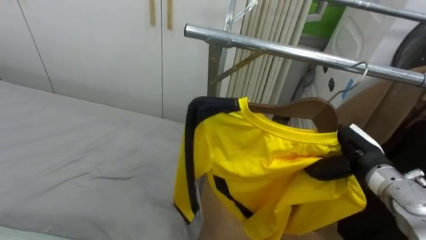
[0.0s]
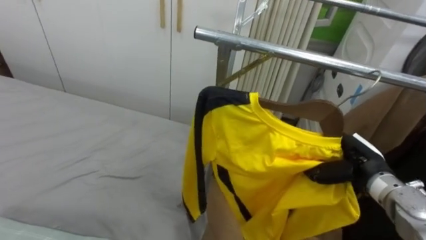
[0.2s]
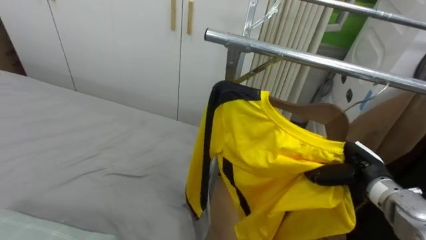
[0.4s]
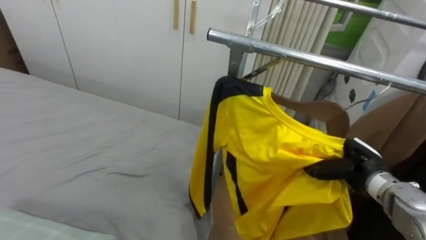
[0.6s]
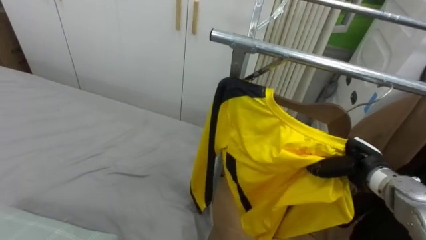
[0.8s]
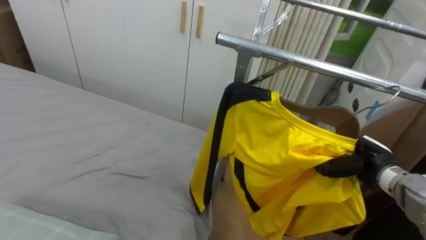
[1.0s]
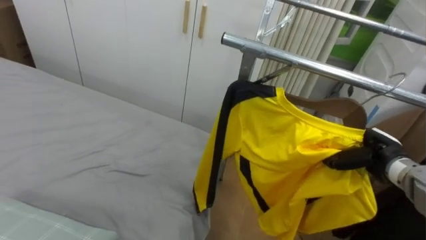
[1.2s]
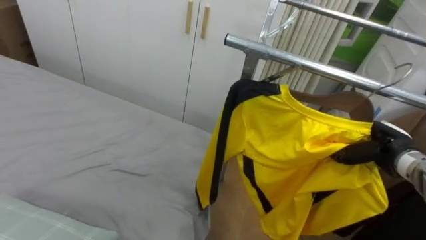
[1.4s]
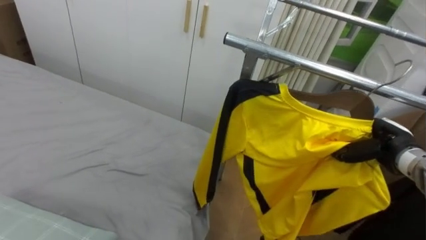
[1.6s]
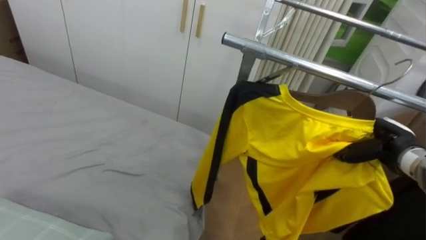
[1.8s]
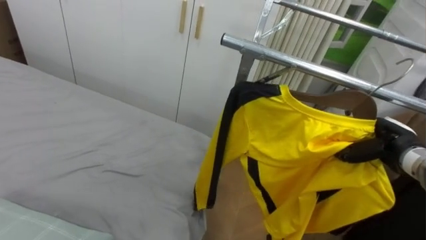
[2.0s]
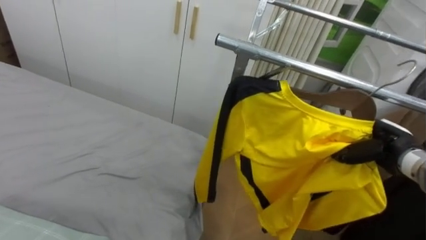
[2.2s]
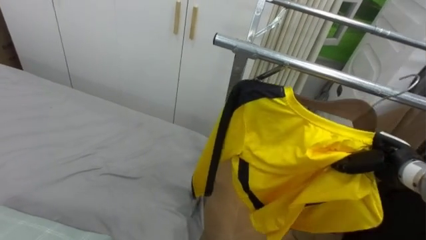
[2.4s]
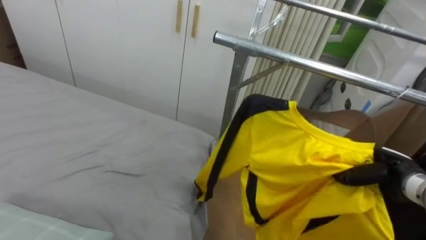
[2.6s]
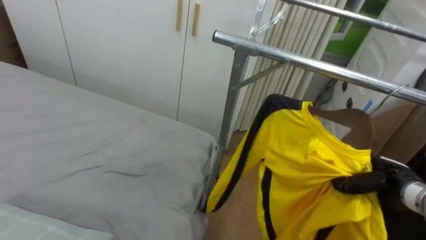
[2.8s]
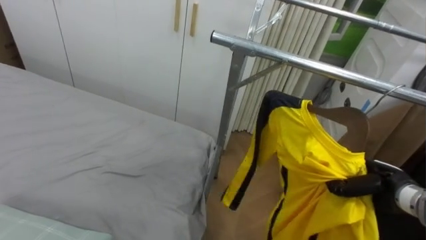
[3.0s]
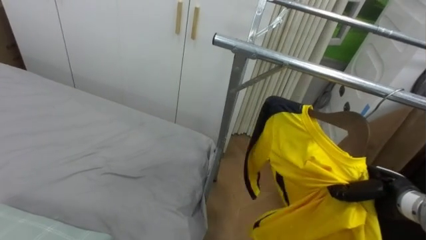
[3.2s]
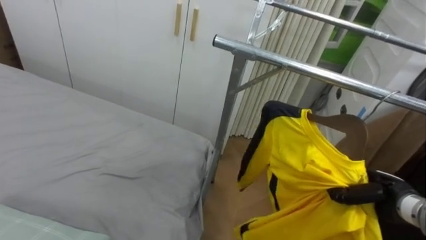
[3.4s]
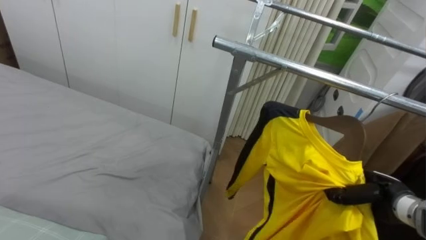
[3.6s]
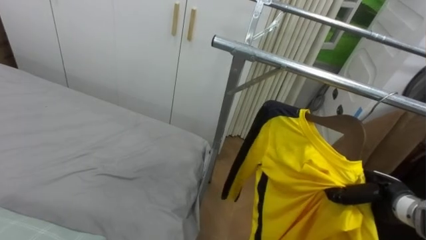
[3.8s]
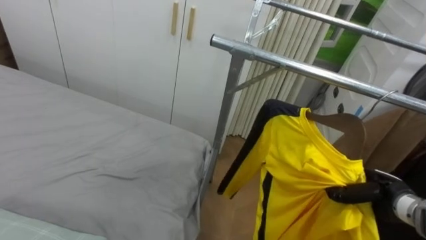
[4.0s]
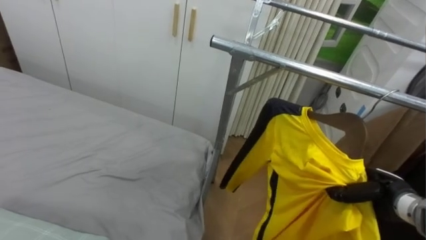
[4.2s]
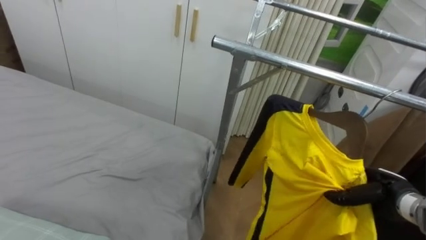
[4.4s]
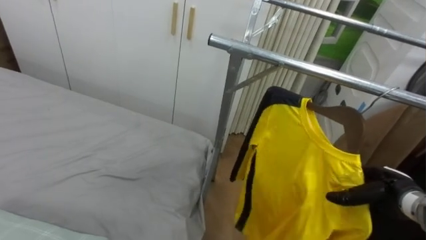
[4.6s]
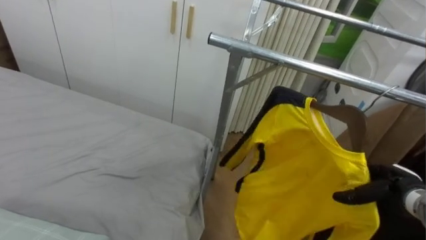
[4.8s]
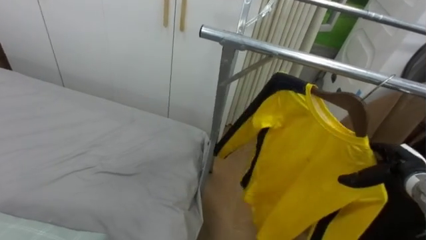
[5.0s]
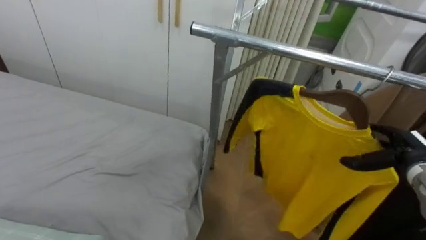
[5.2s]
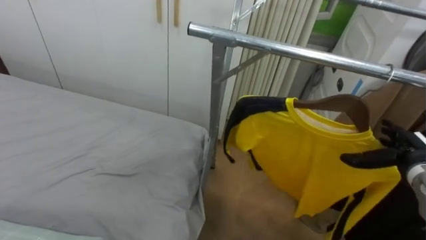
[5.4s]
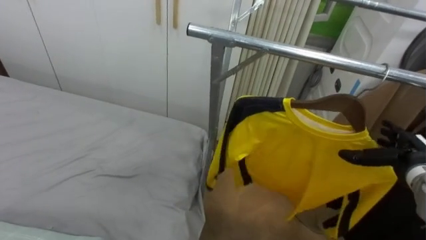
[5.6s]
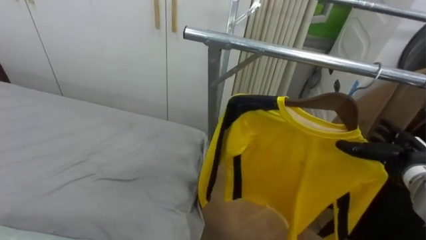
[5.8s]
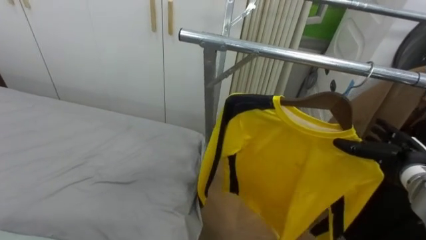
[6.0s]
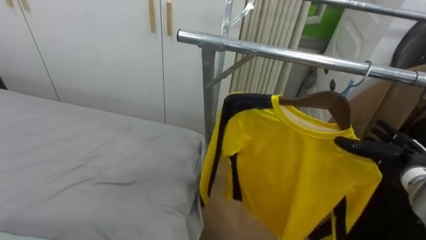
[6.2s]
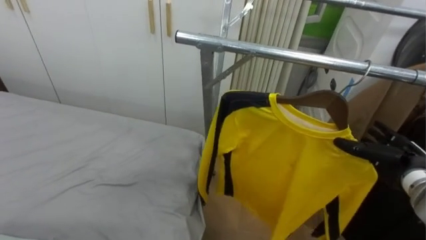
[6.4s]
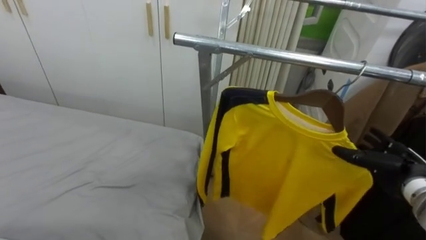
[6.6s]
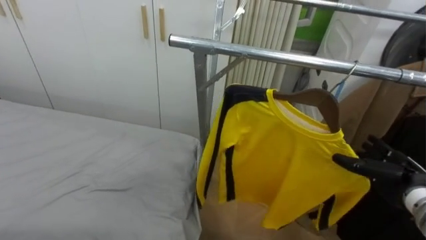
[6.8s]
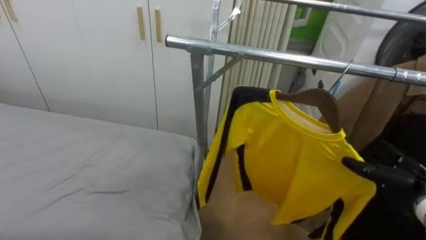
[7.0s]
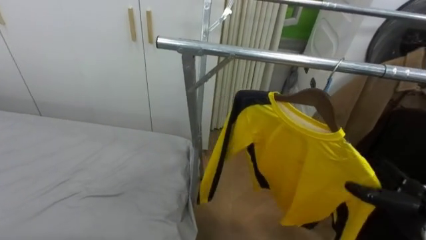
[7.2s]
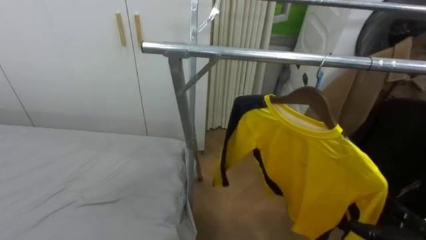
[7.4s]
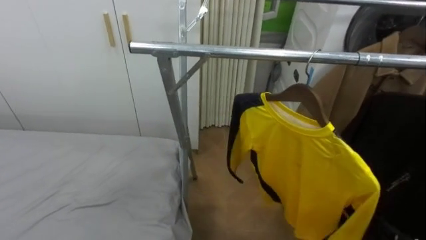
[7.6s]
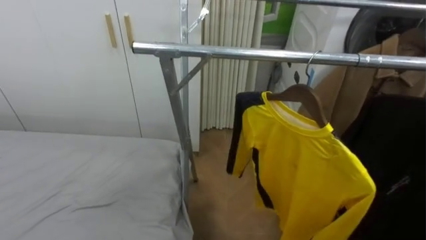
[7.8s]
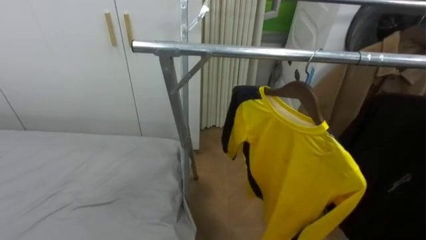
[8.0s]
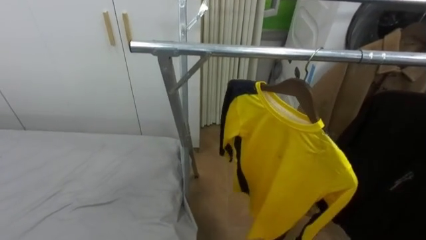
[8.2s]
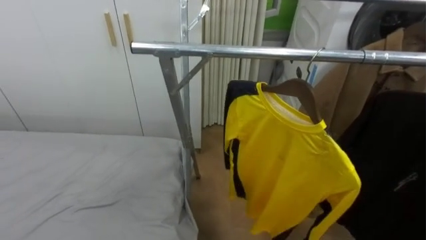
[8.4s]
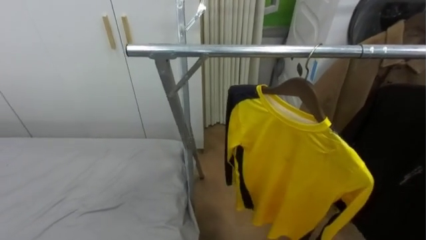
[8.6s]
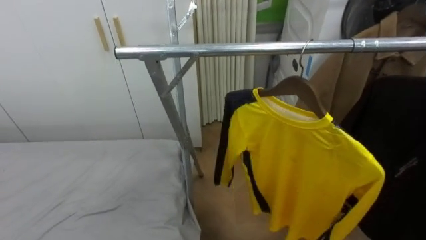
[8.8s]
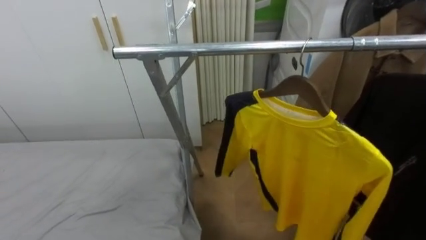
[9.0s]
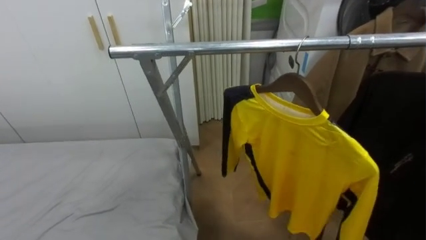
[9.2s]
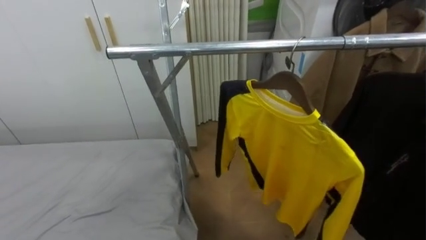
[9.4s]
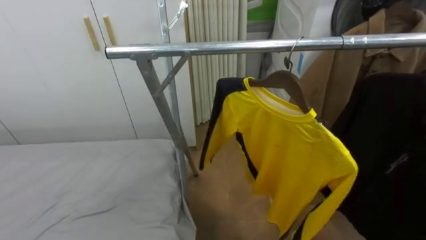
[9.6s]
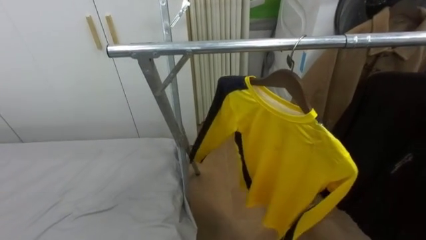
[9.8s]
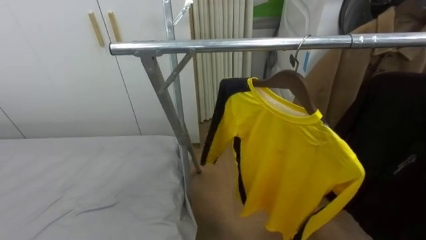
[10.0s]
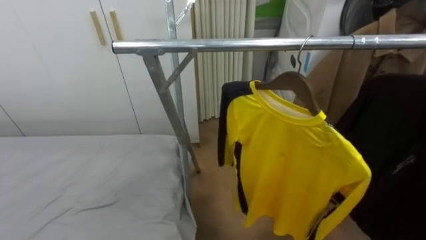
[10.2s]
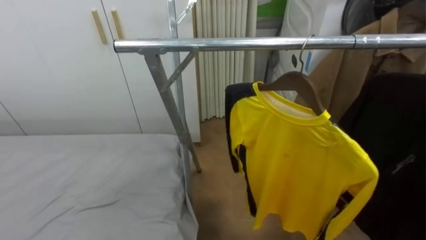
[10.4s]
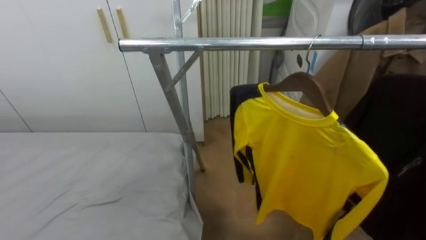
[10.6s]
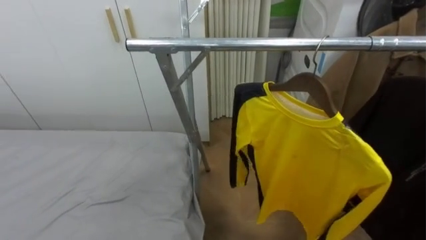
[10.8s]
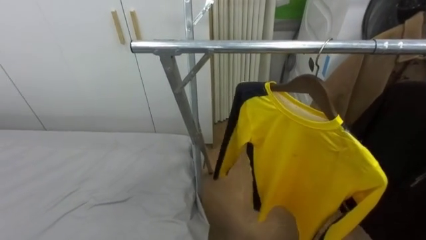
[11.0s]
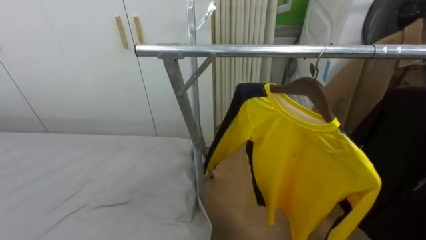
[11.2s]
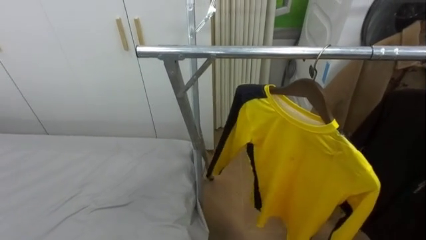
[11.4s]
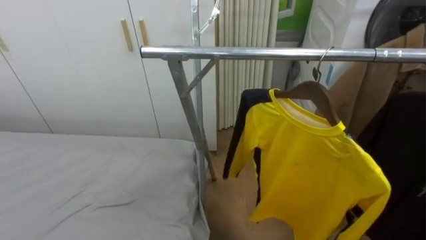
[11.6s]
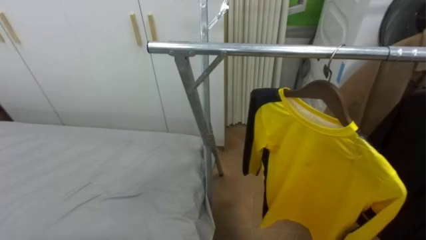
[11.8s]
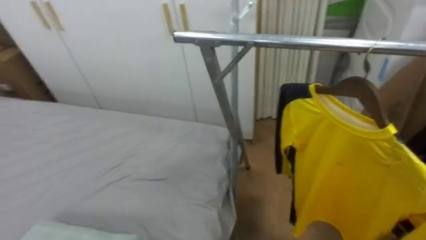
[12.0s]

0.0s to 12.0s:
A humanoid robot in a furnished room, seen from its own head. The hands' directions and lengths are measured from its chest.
Task of the whole recording: Pick up the yellow shirt on the bed and hang it on the clothes rack on the right.
0.0s to 1.6s: The right hand goes some 5 cm to the right.
1.6s to 3.0s: The right hand is displaced downward by roughly 5 cm.
4.4s to 6.0s: The right hand heads upward, covering about 5 cm, and opens up.

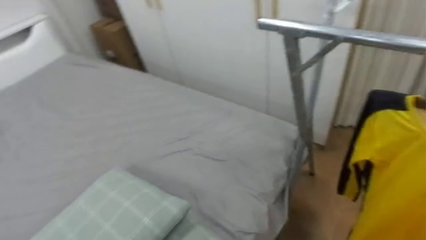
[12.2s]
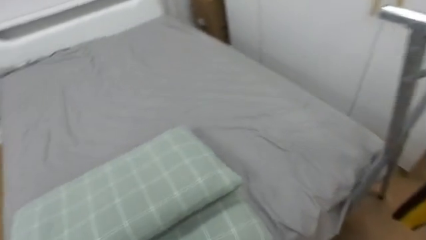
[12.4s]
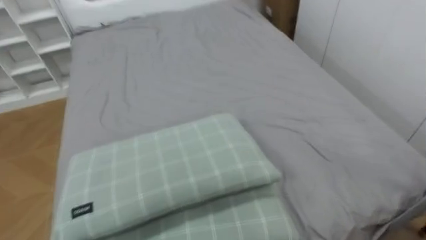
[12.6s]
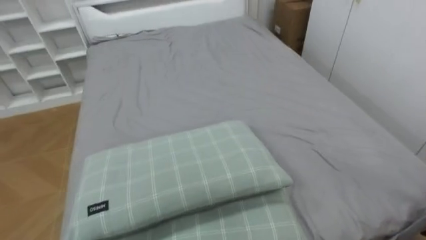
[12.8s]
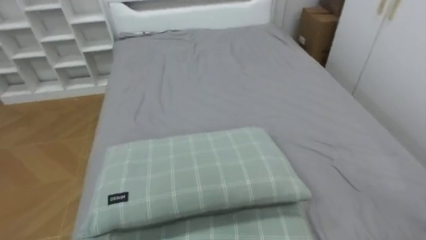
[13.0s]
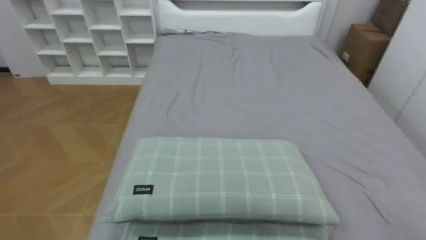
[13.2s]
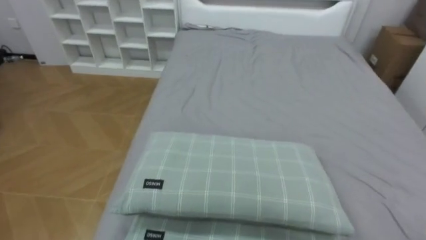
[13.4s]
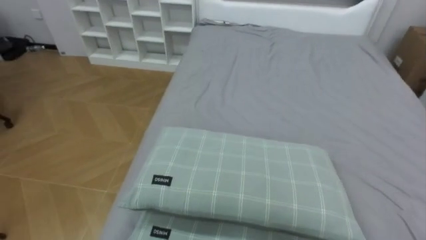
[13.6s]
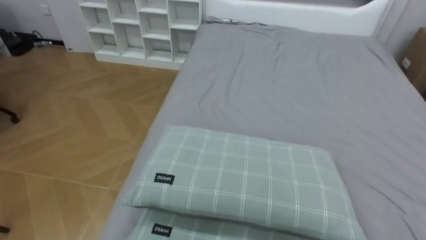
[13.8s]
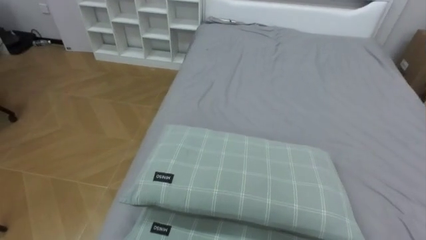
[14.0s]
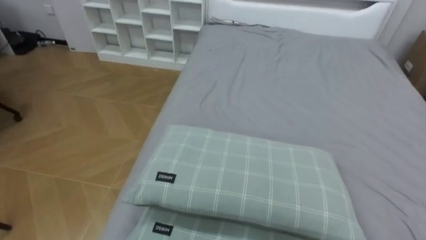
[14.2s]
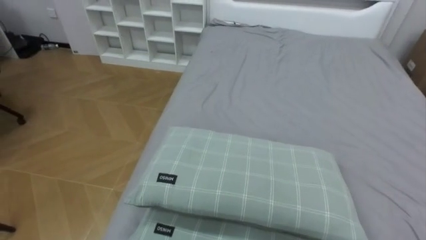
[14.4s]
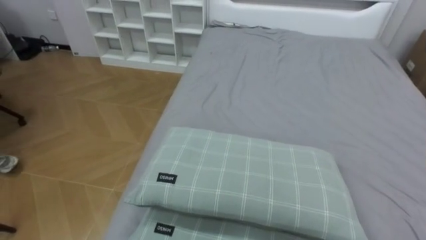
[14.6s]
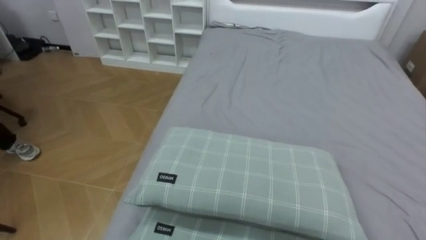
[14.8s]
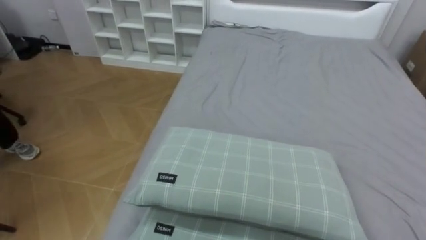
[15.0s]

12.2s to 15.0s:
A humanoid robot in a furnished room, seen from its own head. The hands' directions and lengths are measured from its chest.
Task of the whole recording: Pick up the yellow shirt on the bed and hang it on the clothes rack on the right.
12.2s to 13.6s: The robot faces approximately 70 degrees further to its left.

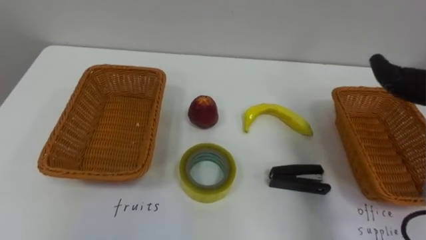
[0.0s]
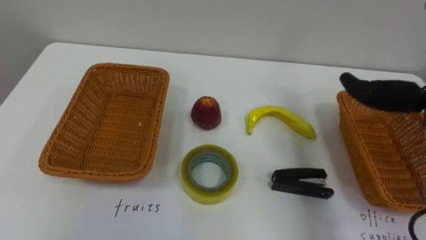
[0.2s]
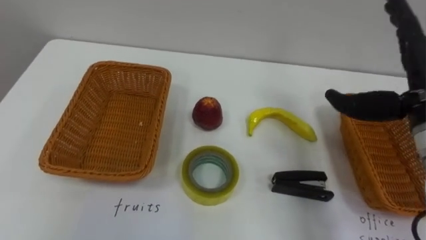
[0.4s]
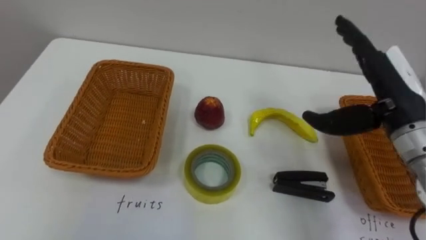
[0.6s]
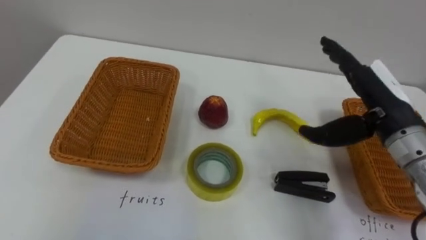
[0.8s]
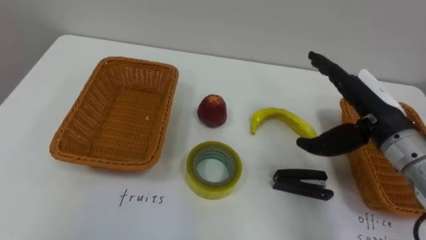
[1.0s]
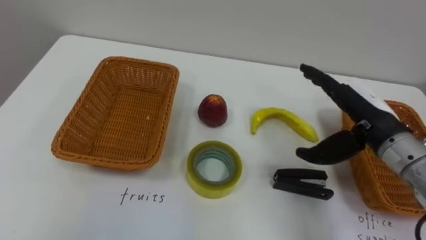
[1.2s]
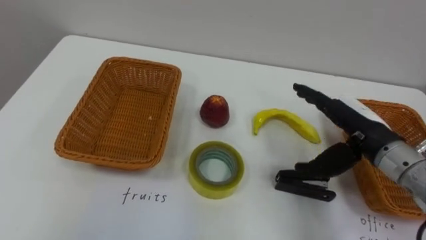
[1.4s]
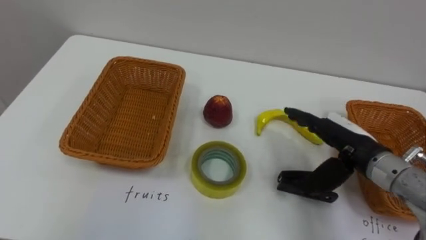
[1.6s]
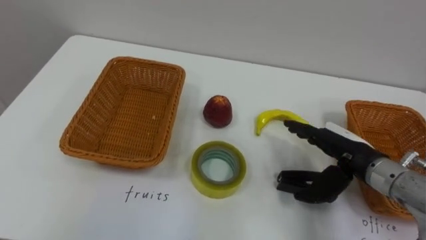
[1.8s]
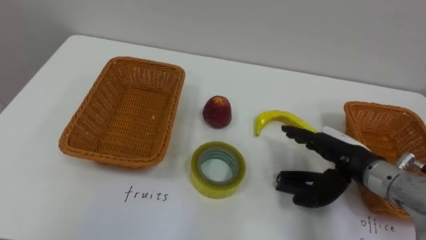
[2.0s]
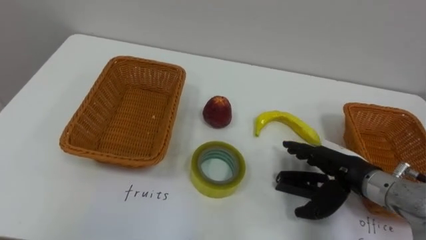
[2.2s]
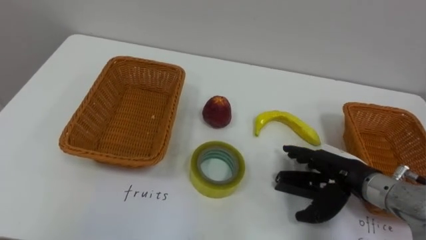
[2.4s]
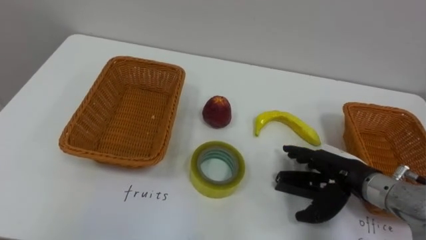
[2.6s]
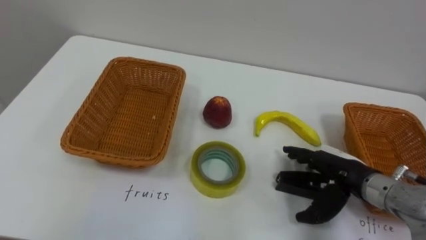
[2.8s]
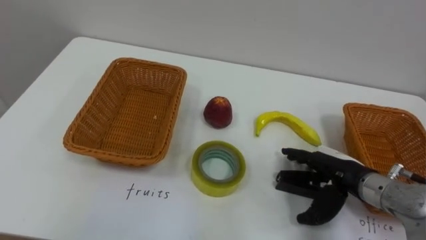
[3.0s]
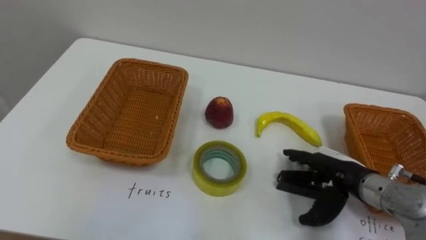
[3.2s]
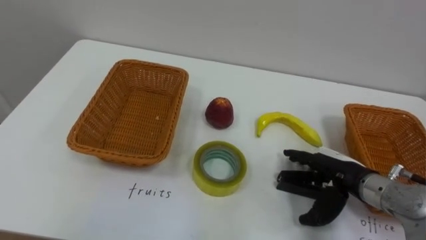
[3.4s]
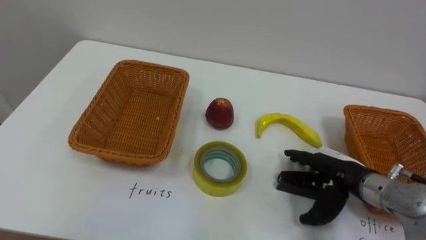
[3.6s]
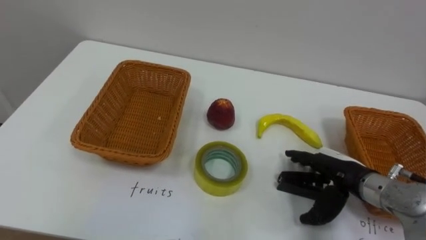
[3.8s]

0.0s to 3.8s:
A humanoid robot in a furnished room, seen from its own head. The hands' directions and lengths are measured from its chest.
Task of the whole recording: Separate the items on the table and place them into the two baskets.
1.2s to 2.6s: The right hand goes about 10 cm downward.
